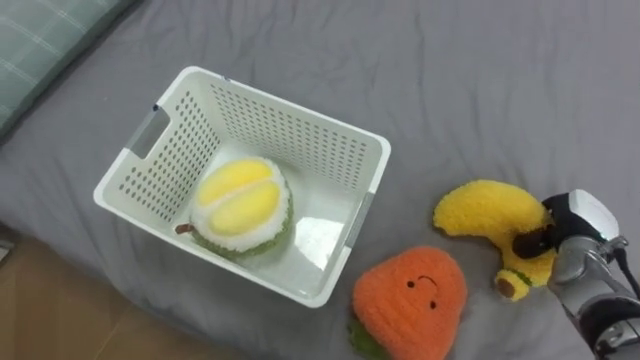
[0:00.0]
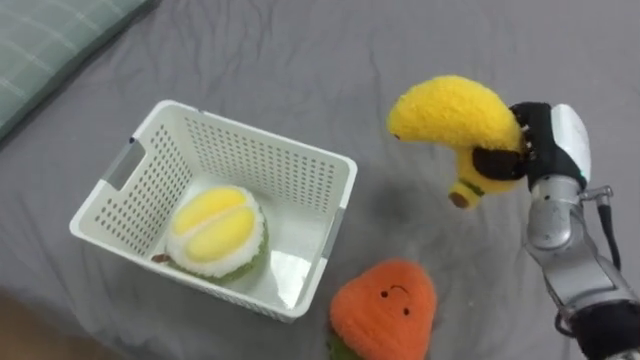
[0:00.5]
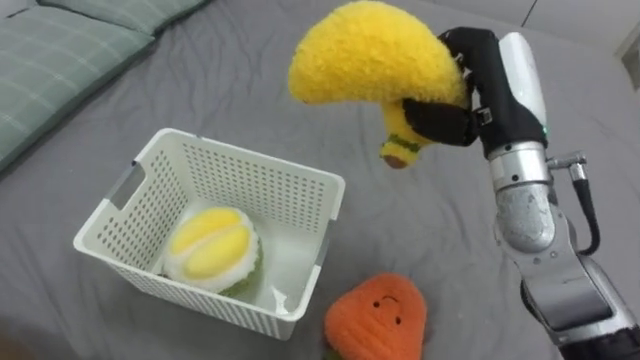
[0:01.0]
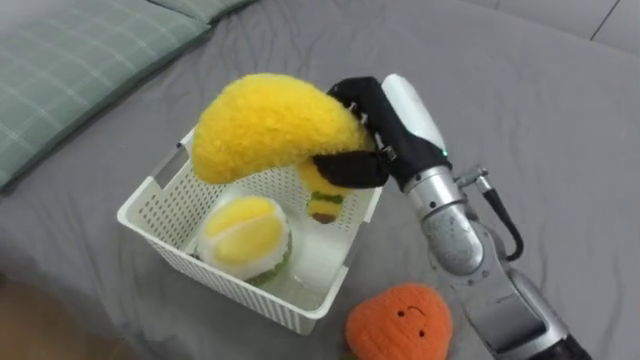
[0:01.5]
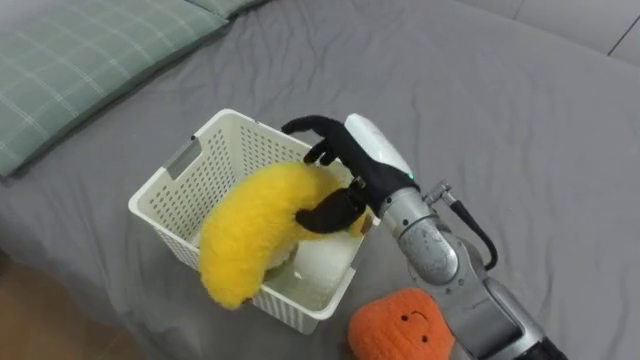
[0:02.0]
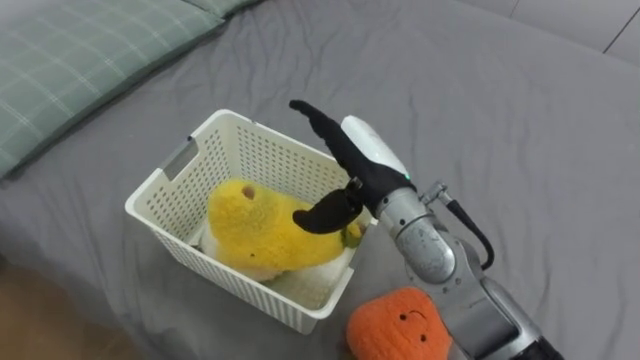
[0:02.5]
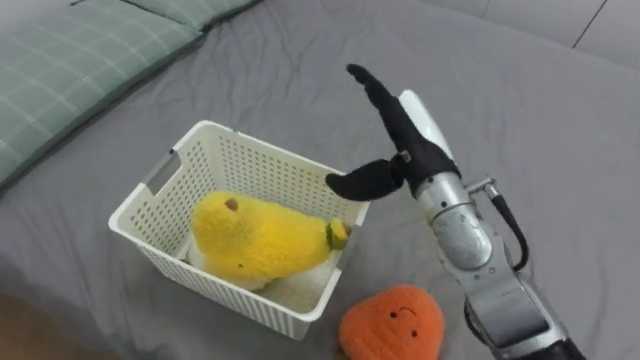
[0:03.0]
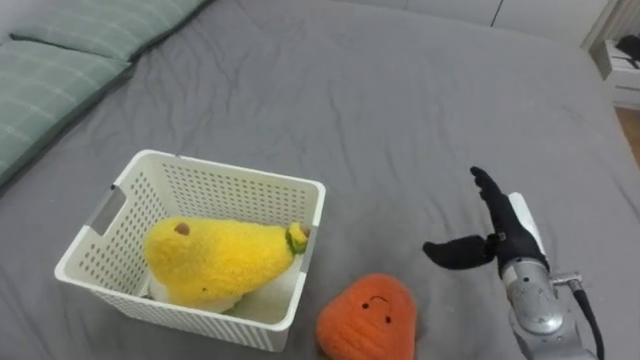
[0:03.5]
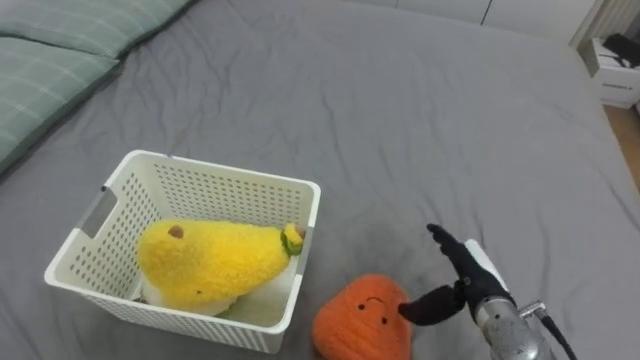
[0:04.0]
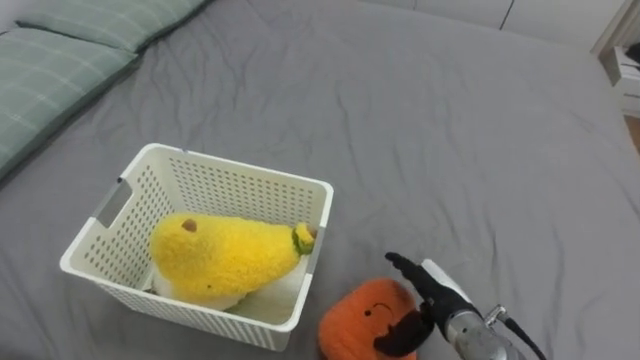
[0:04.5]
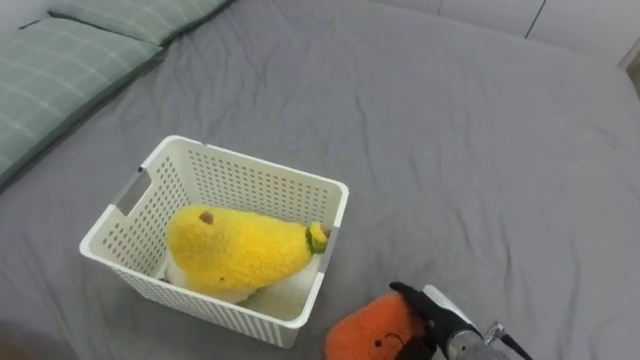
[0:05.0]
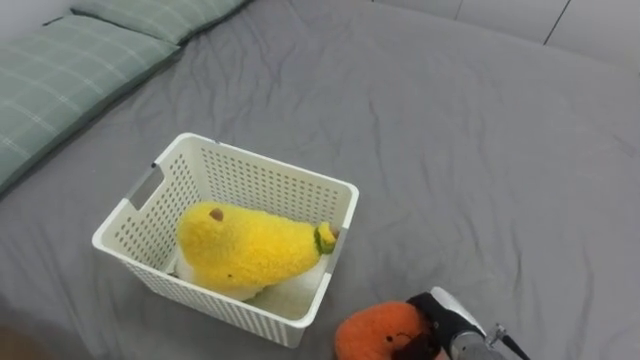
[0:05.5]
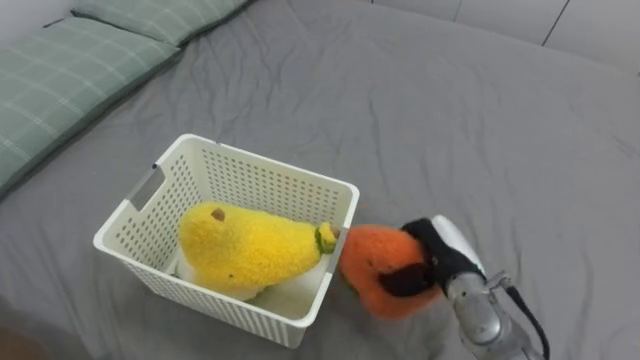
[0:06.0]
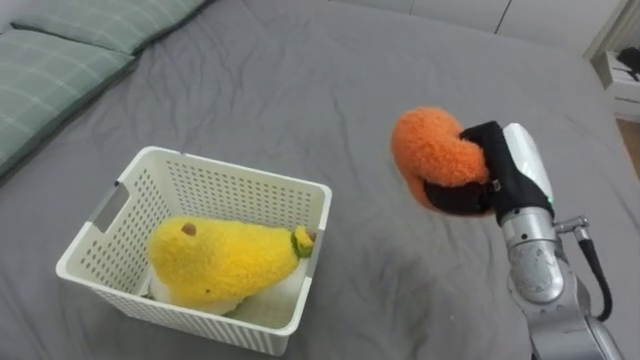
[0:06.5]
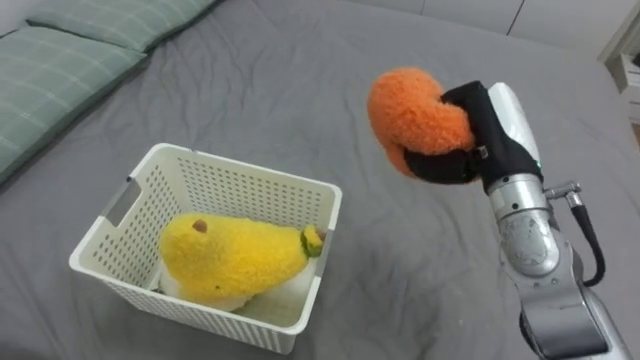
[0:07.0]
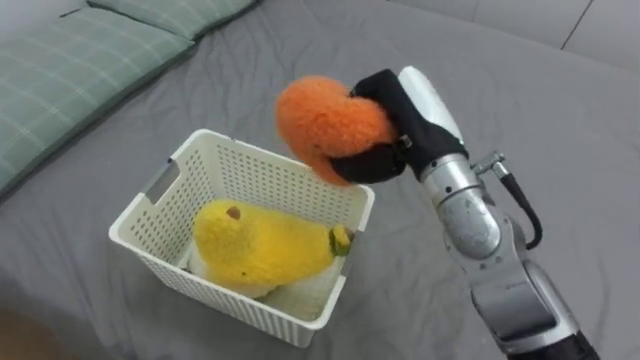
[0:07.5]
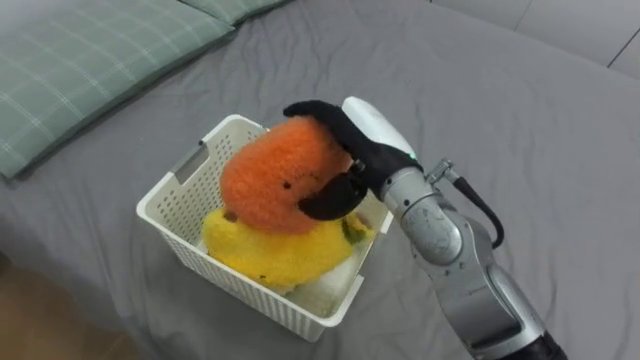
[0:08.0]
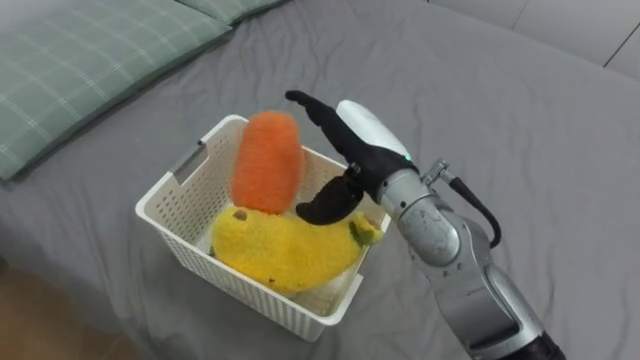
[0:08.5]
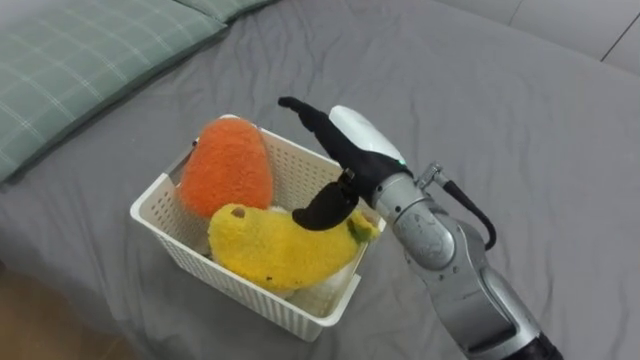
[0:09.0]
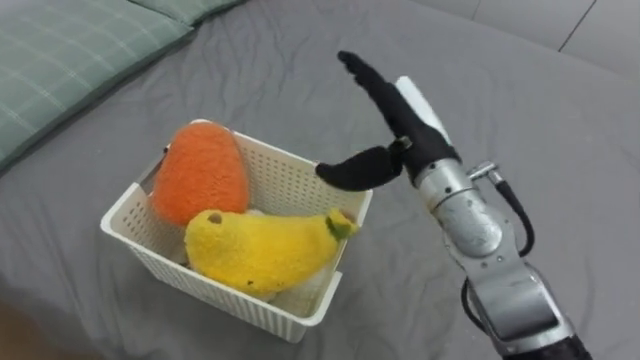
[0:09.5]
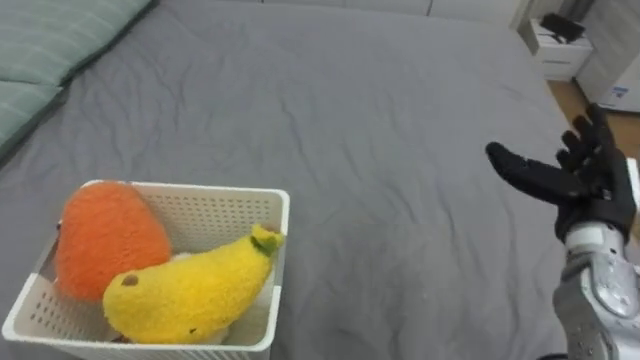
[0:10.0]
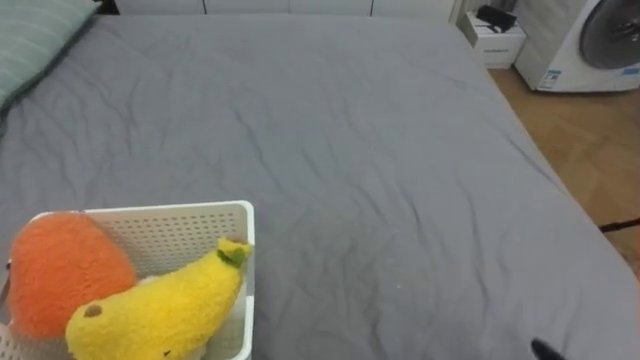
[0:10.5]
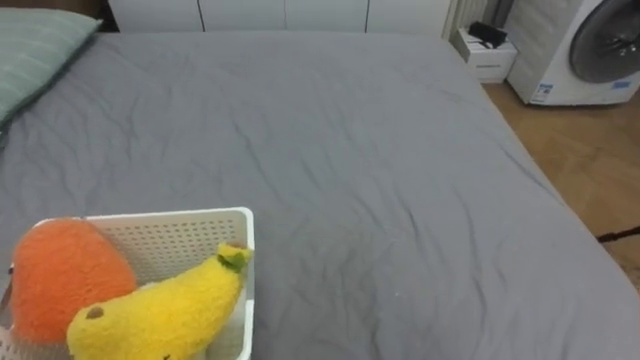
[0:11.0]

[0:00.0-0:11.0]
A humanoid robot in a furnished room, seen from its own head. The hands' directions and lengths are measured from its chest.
Task of the whole recording: Put the toys on the bed into the basket on the left.
0:00.0 to 0:02.0: The right hand goes roughly 30 cm to the left and upward, and opens its fingers.
0:02.0 to 0:03.5: The right hand goes about 20 cm to the right and downward.
0:03.5 to 0:05.5: The right hand is displaced downward, backward and to the left by about 15 cm, and closes its fingers.
0:05.5 to 0:07.5: The right hand shifts approximately 30 cm upward and forward.
0:07.5 to 0:09.0: The right hand is displaced to the left by roughly 5 cm, and opens.

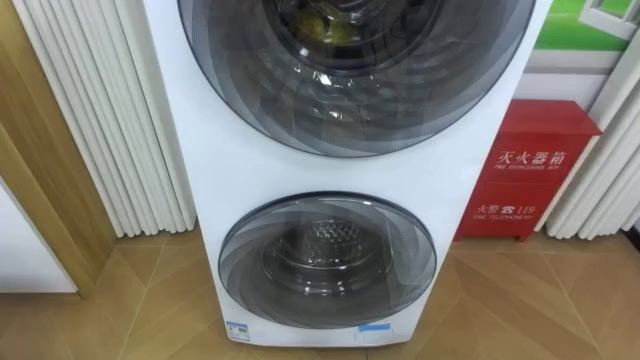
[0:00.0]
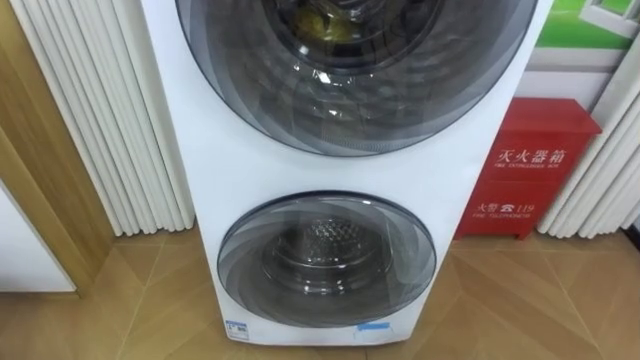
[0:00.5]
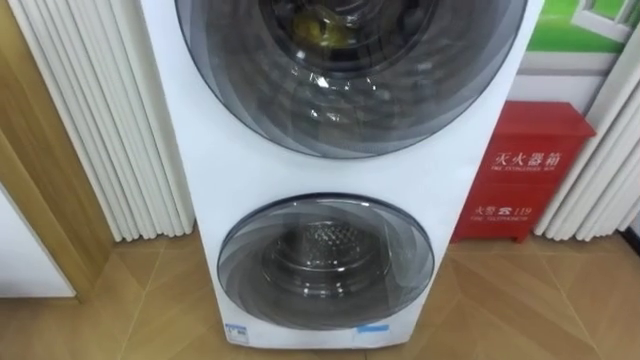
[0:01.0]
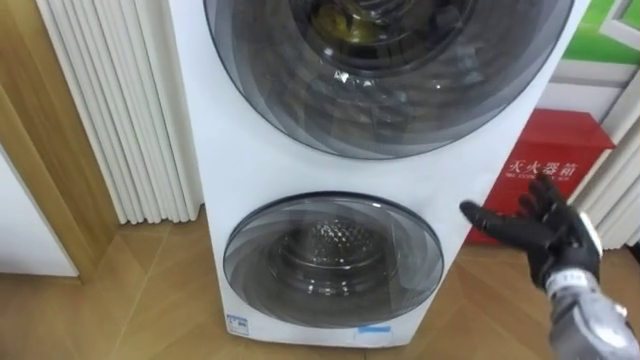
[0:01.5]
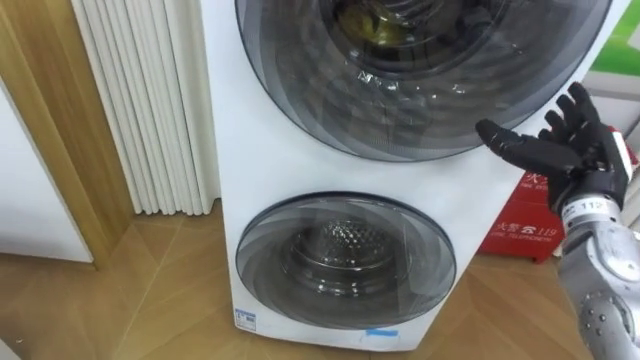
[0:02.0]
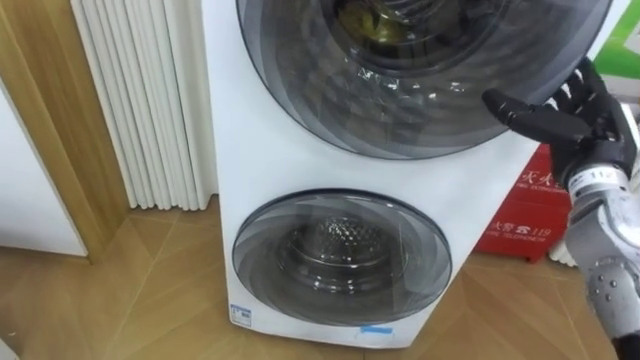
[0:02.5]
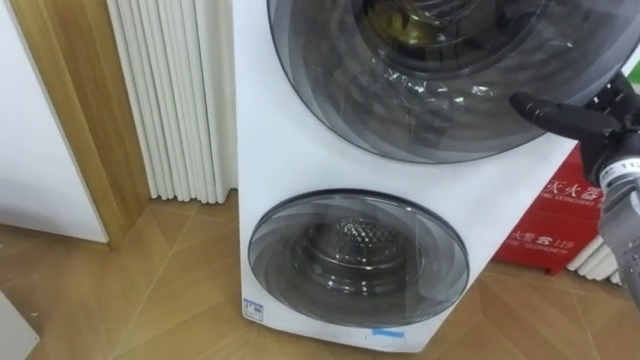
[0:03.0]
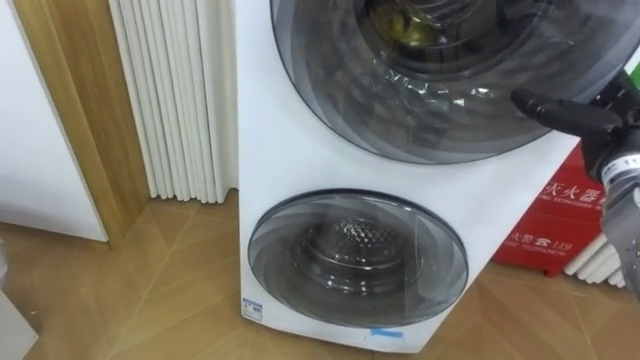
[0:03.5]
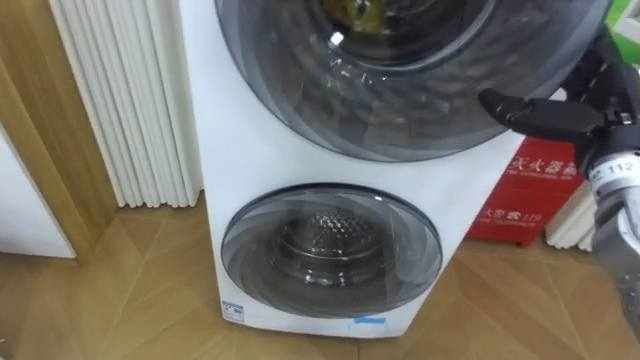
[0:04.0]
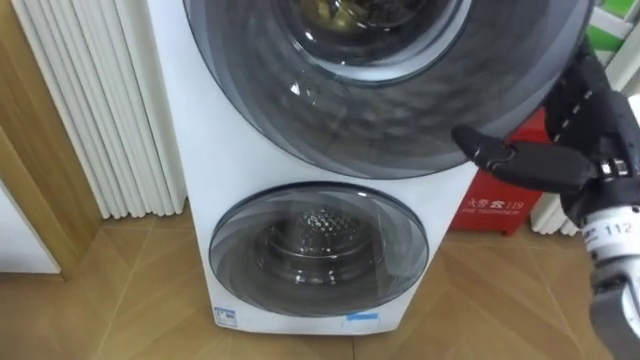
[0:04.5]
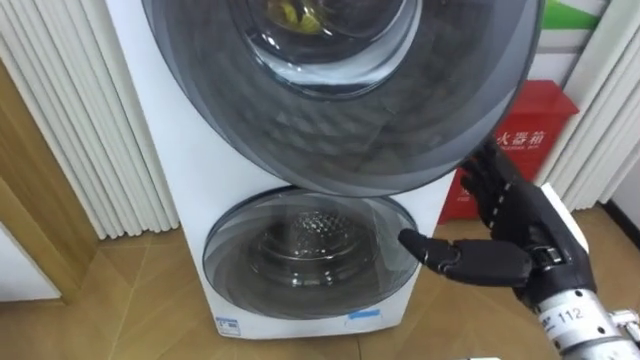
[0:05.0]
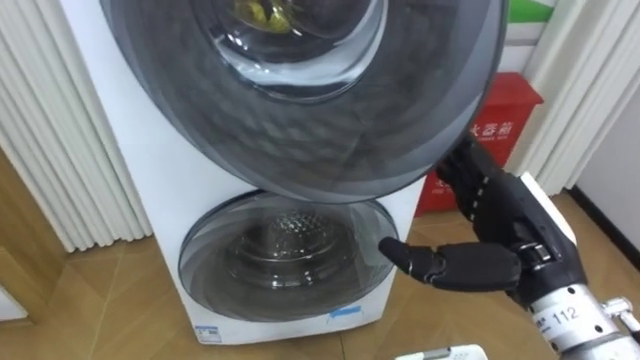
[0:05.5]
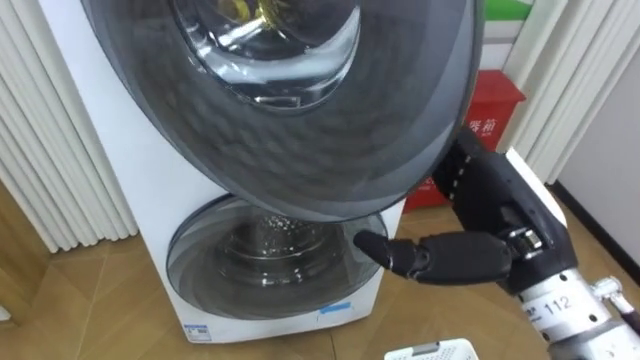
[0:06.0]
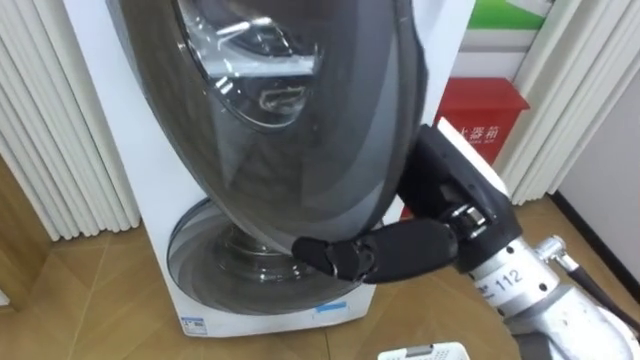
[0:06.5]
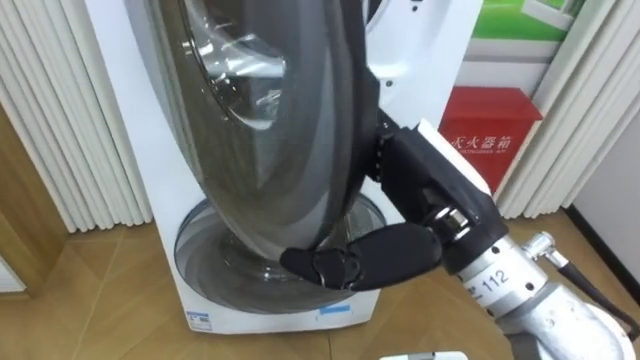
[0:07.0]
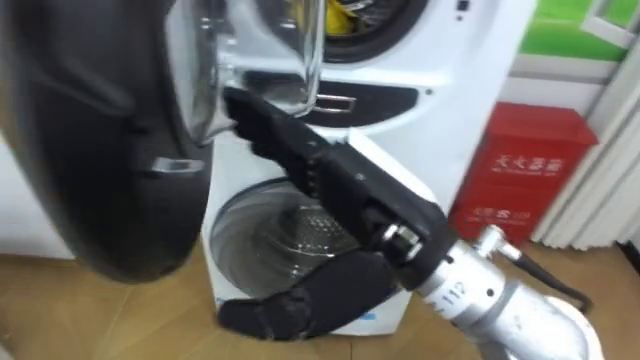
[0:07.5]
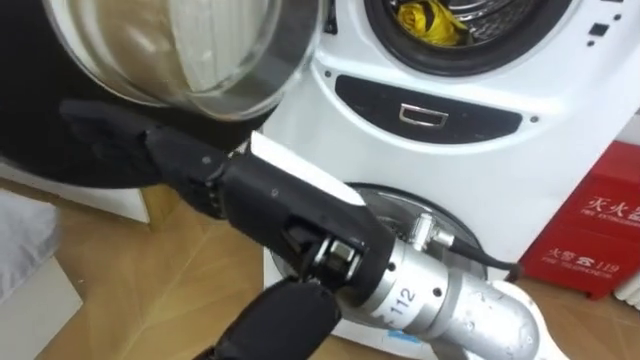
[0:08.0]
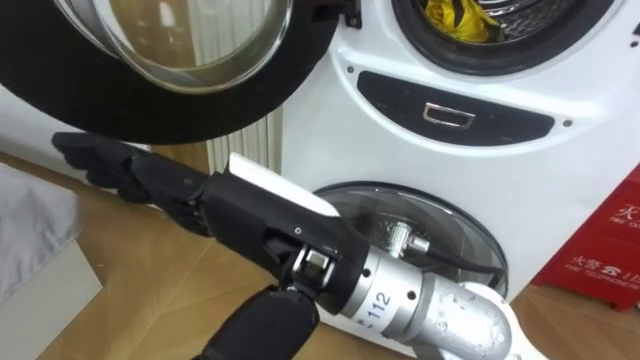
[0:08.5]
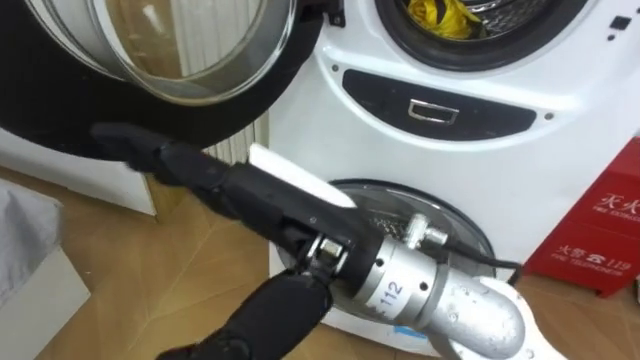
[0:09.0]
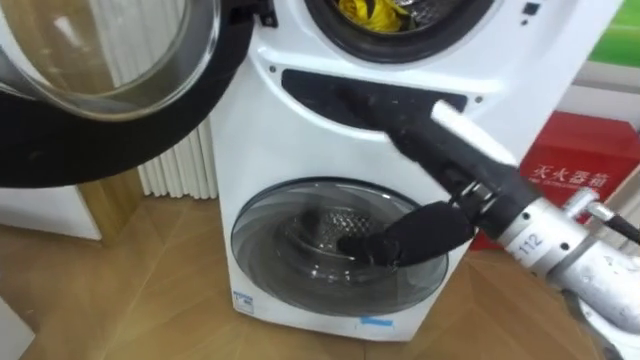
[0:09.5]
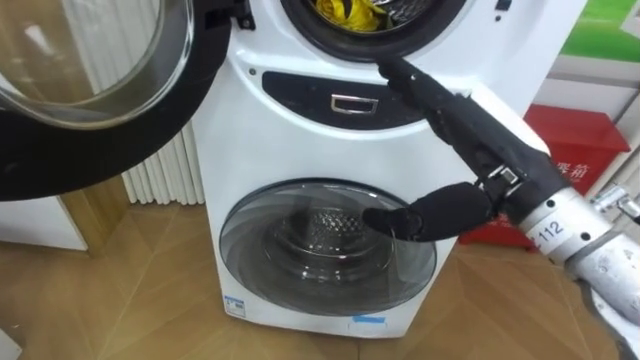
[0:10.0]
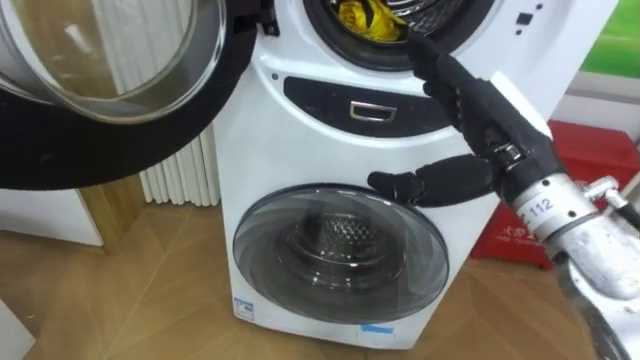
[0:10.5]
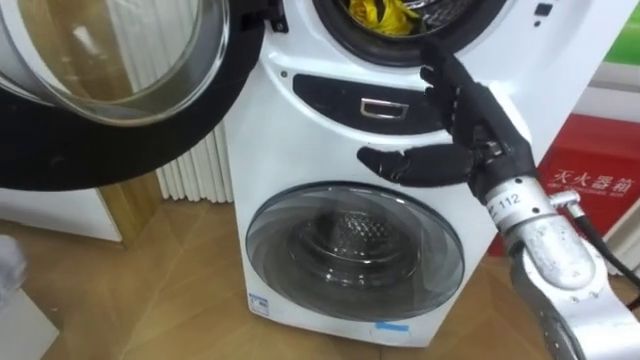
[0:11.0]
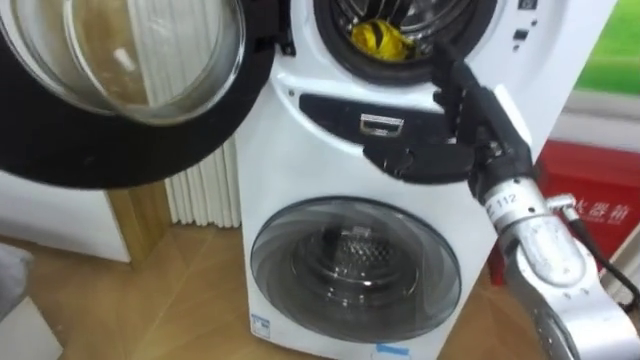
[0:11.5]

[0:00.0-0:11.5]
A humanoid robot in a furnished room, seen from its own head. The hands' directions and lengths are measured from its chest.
Task of the whole recording: Open the washing machine door, take out the yellow clothes, place them in the box on the right, and close the washing machine door.
0:02.0 to 0:04.0: The right hand travels upward by roughly 5 cm.
0:04.0 to 0:06.0: The right hand shifts approximately 15 cm to the left and backward.
0:06.0 to 0:07.5: The right hand is displaced to the left by some 10 cm.
0:07.5 to 0:09.5: The right hand is displaced to the right and forward by approximately 10 cm.
0:09.5 to 0:11.5: The right hand shifts about 5 cm forward.
